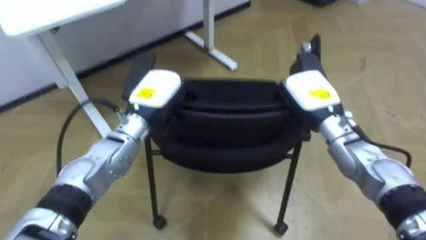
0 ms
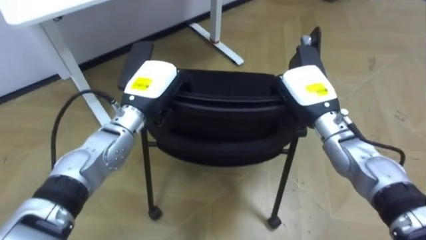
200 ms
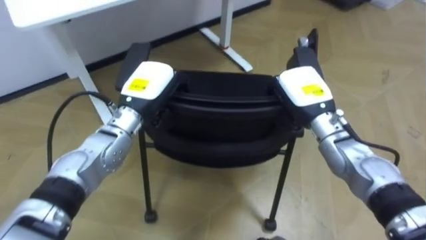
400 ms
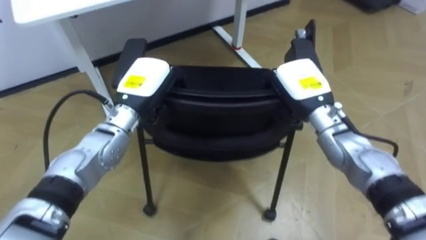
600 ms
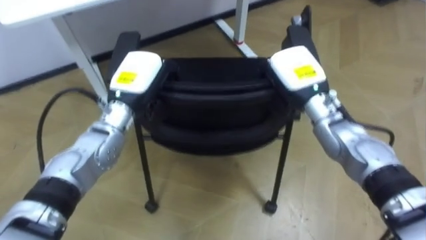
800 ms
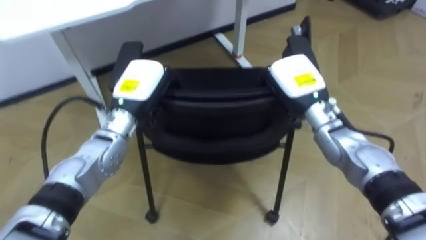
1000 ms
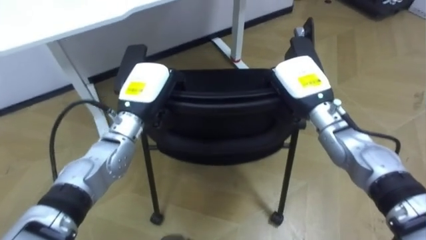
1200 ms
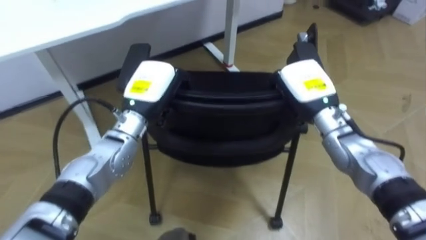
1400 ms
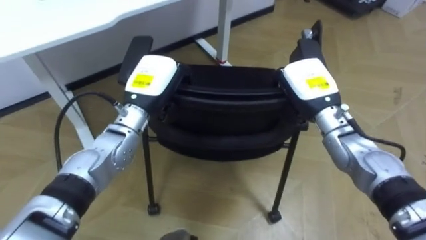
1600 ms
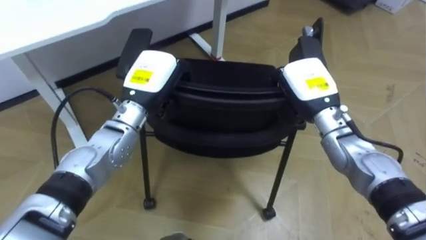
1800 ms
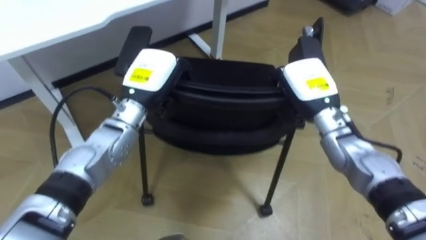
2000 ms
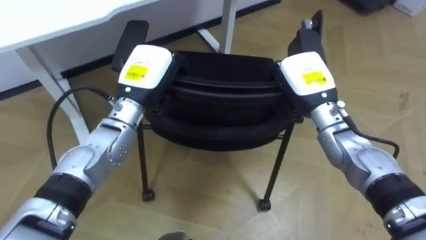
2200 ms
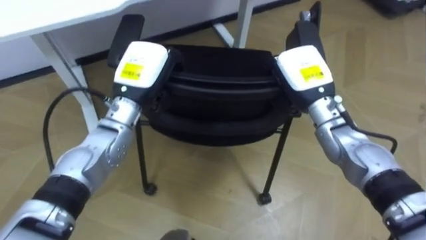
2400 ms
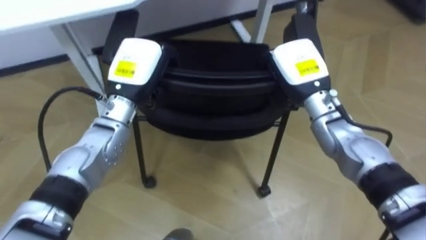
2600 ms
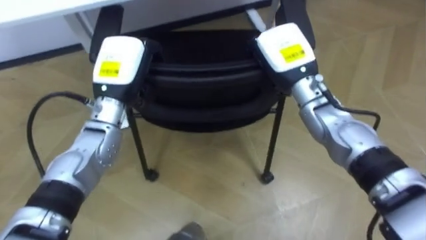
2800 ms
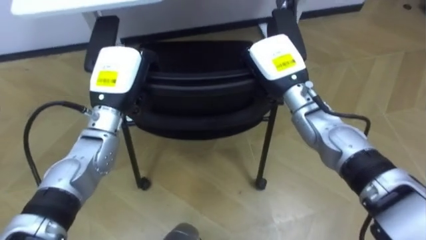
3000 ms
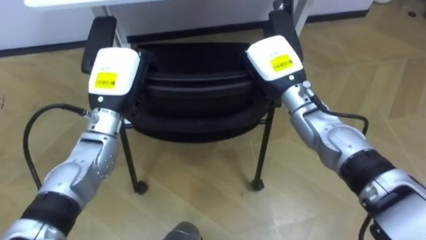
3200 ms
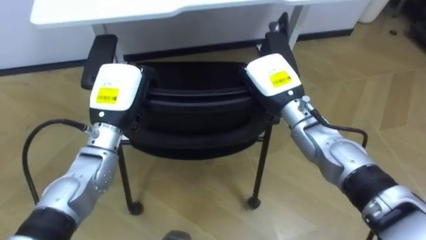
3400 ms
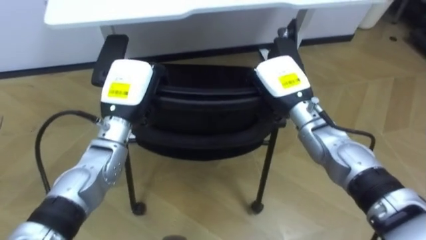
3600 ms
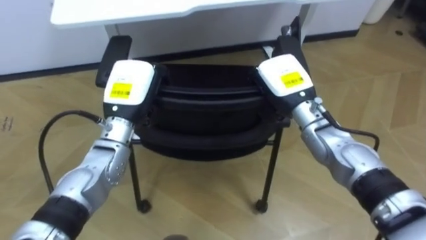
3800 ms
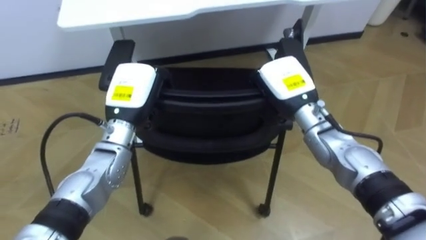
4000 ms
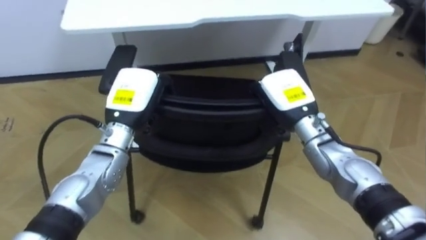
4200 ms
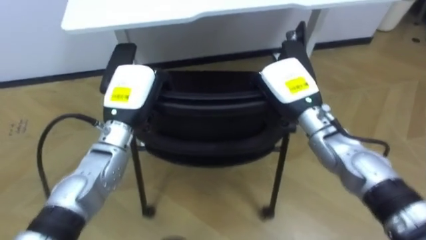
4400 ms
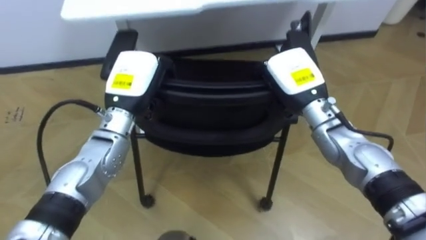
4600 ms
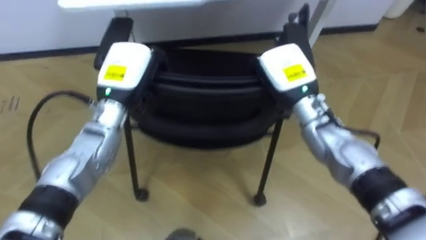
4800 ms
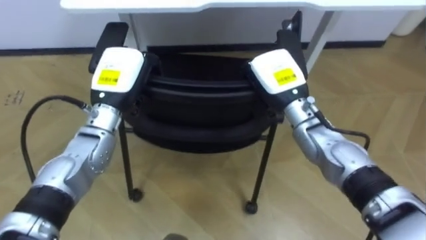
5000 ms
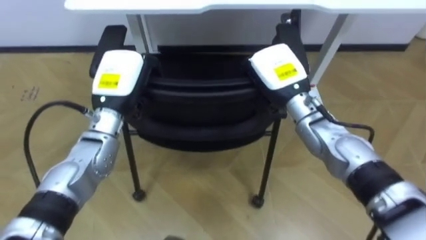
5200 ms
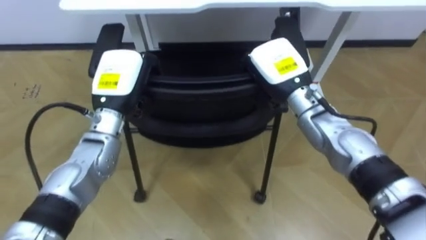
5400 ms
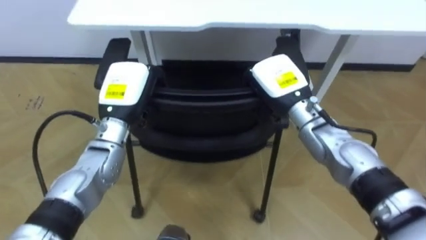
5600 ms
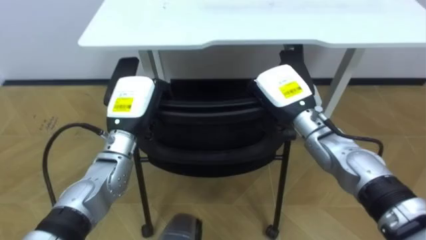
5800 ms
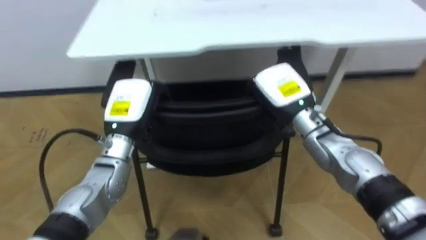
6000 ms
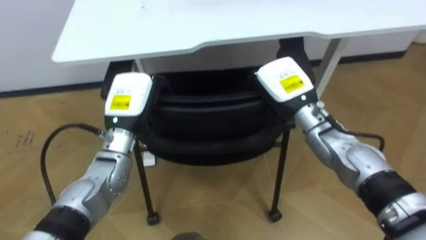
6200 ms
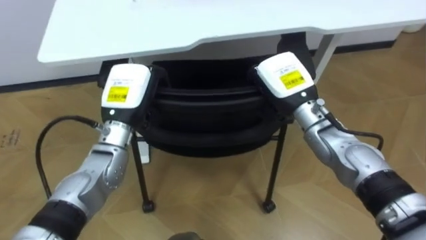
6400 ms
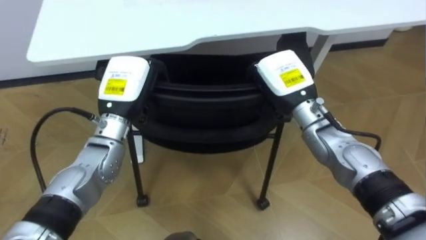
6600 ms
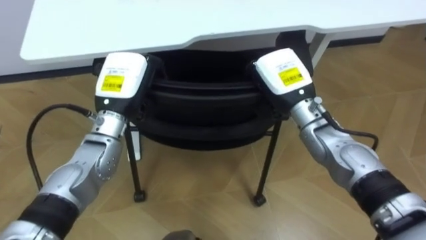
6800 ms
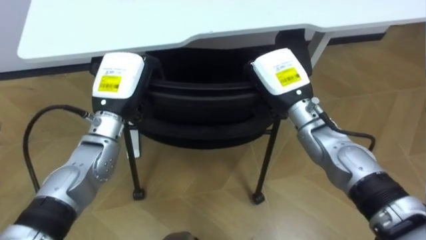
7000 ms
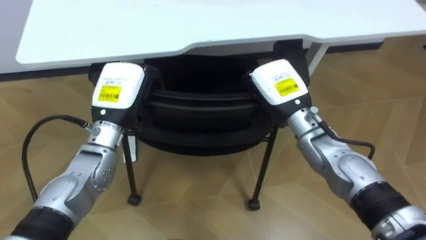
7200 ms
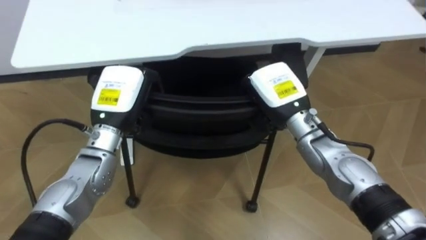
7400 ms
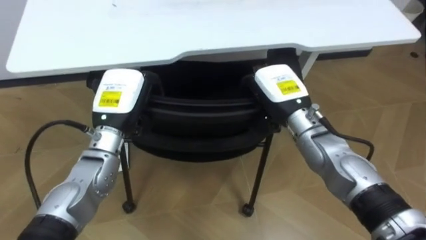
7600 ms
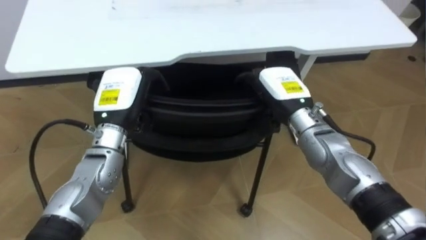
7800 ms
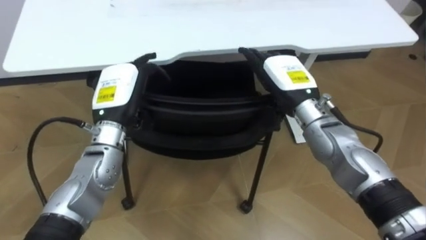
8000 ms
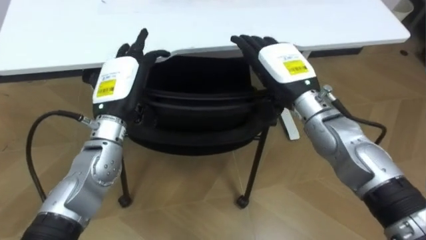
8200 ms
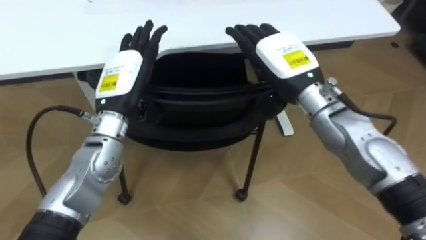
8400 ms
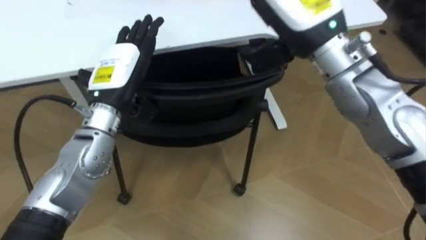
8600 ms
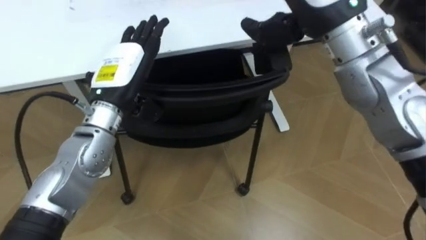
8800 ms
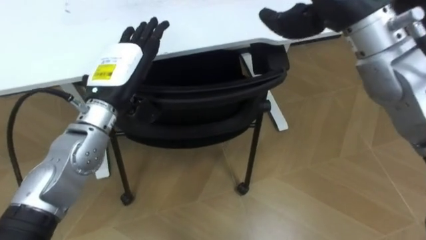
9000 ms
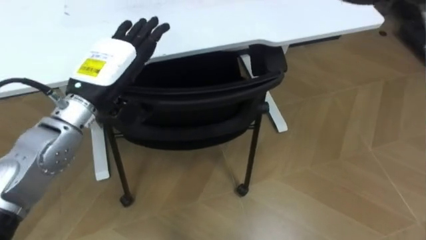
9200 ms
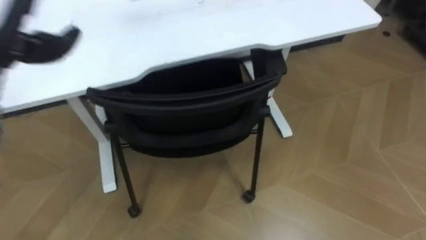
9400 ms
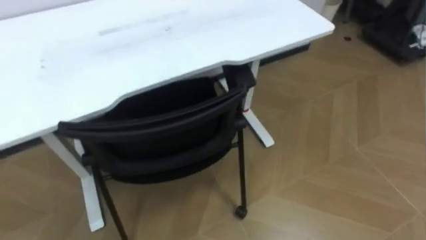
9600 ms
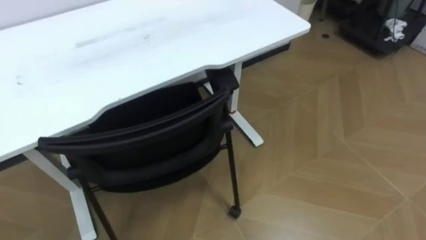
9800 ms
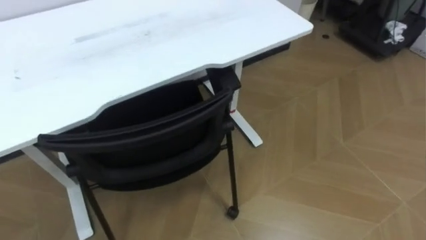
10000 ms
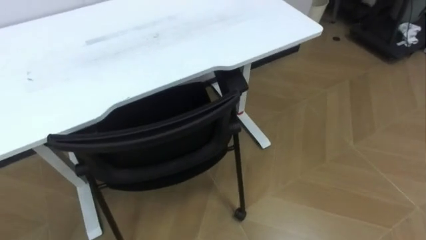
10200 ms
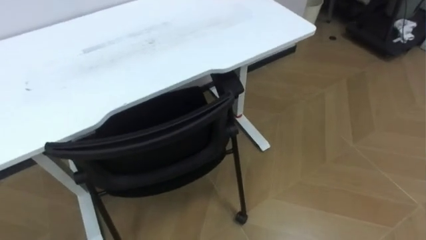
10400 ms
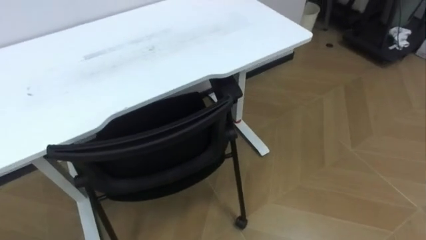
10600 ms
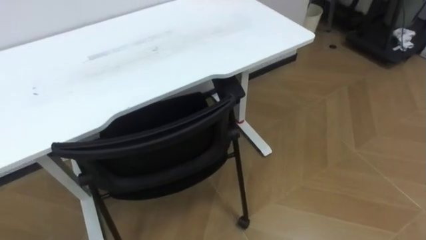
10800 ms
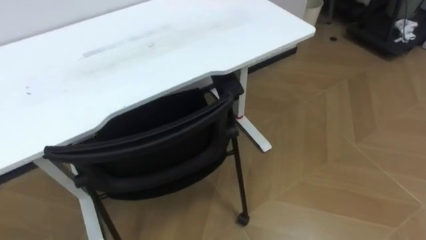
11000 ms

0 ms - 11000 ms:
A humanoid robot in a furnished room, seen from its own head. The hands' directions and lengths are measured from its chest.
Task of the whole recording: Push the chair under the table.
1600 ms - 3200 ms: The two hands go some 5 cm to the left.
6200 ms - 7800 ms: The right hand opens its fingers; the left hand opens up.

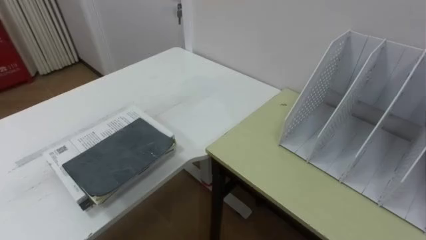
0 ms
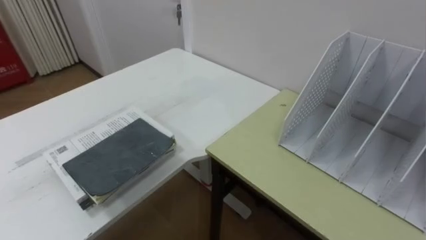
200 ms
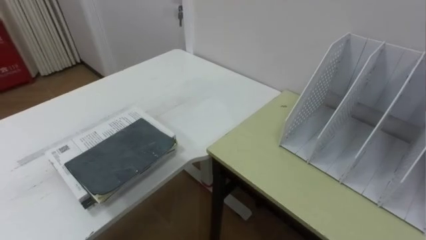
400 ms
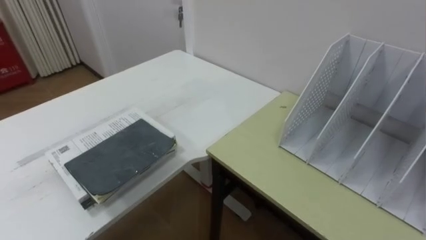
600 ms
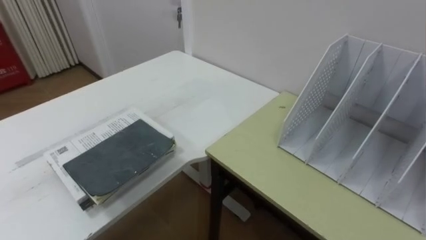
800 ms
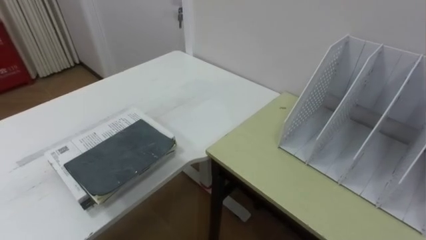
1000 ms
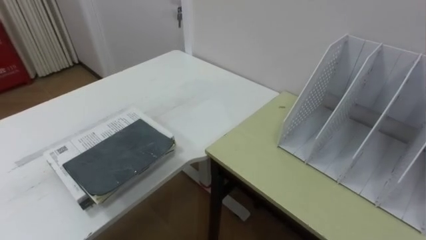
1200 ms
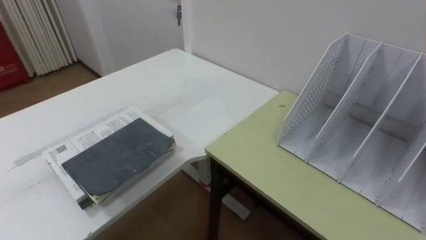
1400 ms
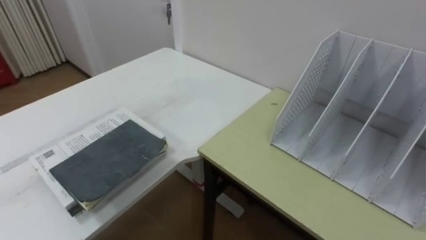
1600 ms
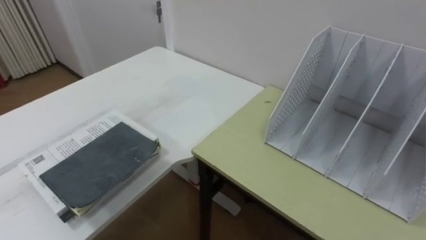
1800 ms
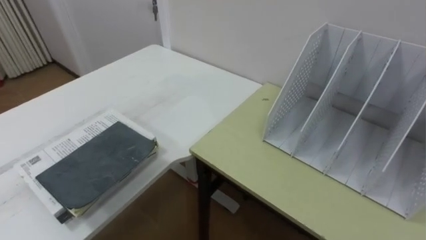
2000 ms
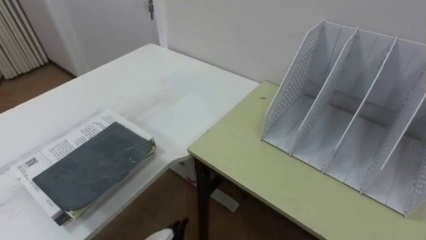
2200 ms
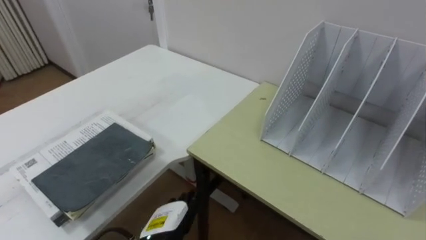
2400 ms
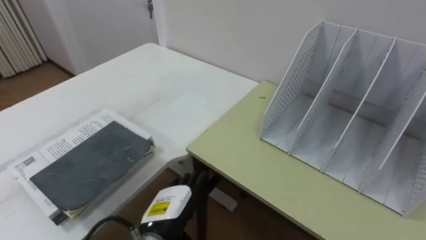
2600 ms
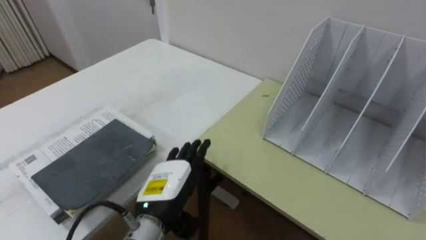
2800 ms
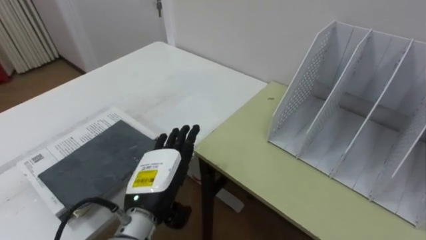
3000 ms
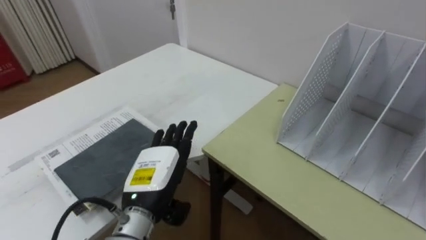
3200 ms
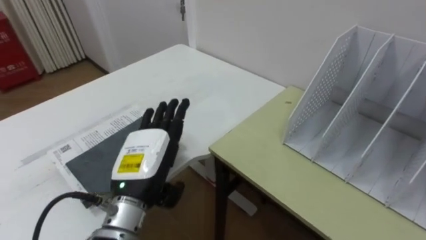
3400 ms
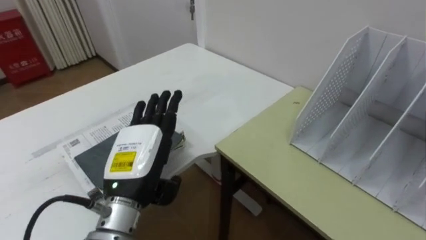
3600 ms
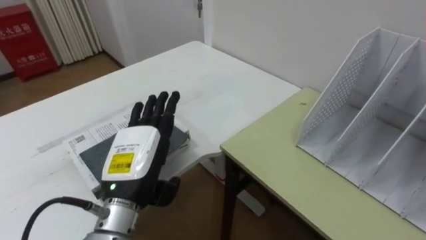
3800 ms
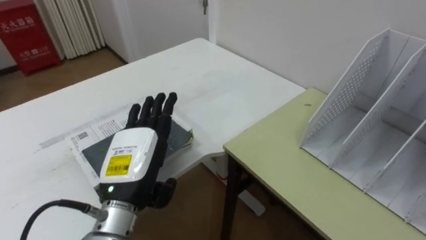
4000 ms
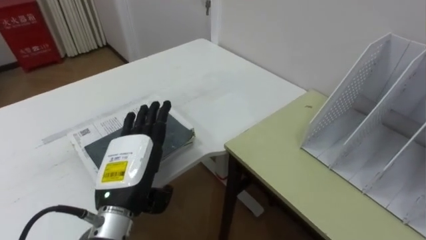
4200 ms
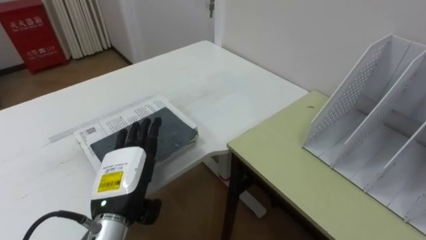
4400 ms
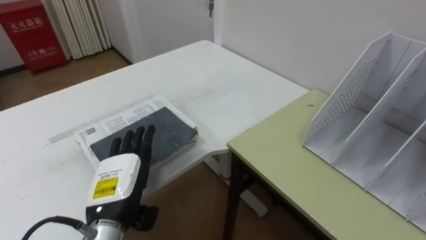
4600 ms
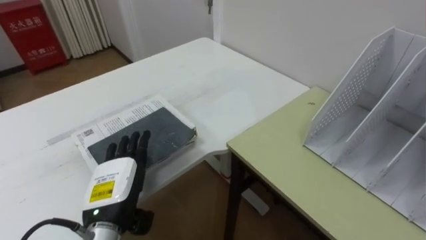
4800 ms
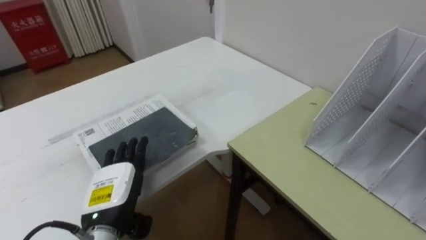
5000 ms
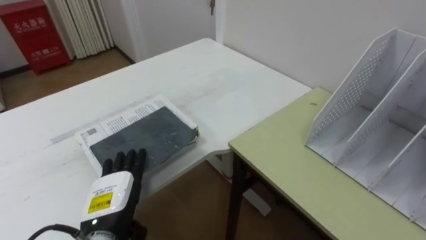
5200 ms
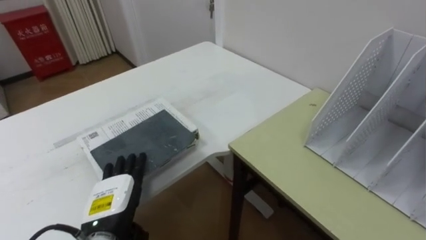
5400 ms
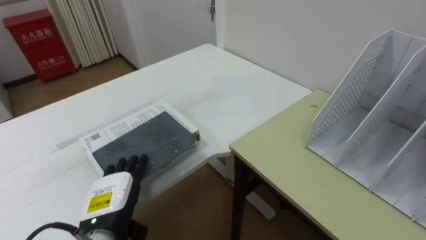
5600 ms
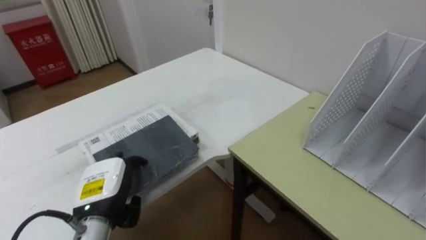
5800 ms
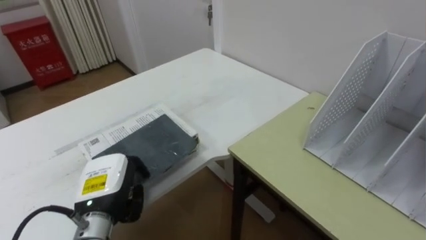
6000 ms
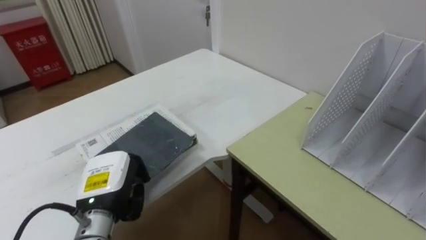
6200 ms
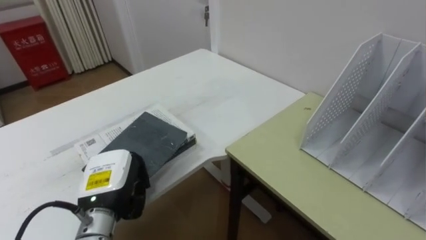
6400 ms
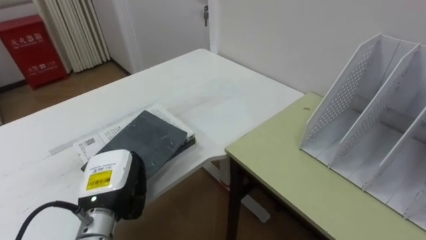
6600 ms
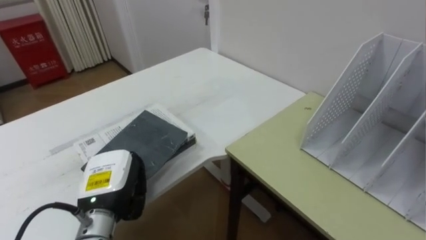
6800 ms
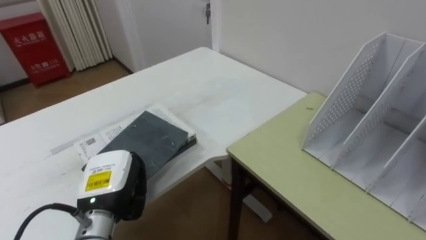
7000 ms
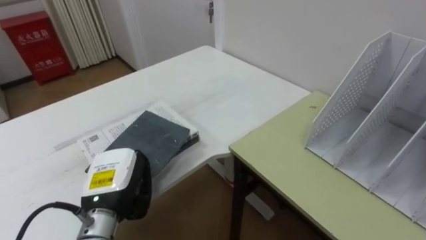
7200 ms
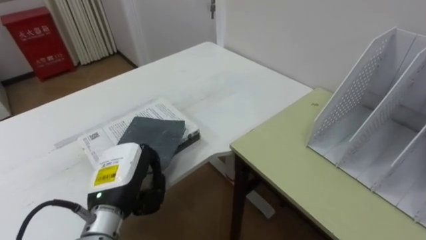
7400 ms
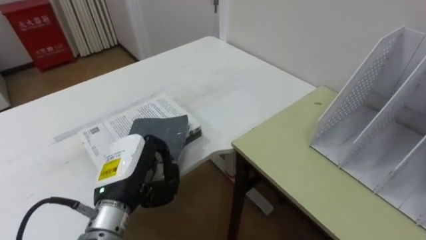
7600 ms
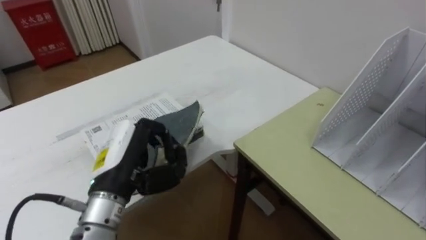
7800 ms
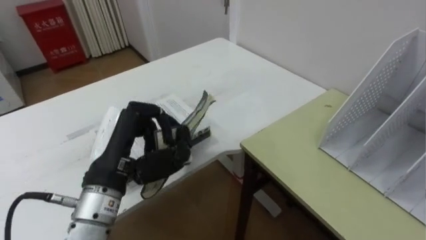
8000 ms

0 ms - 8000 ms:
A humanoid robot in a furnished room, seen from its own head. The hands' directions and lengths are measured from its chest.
Task of the whole recording: Put the books on the table onto the bookshelf.
3200 ms - 4800 ms: The left hand moves to the left, approximately 5 cm.
4800 ms - 6400 ms: The left hand closes its fingers.
6400 ms - 8000 ms: The left hand travels upward by roughly 10 cm.
